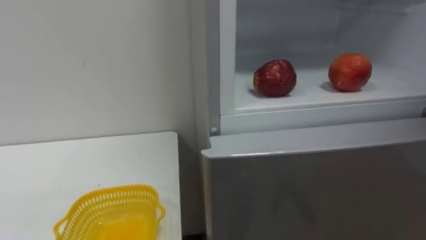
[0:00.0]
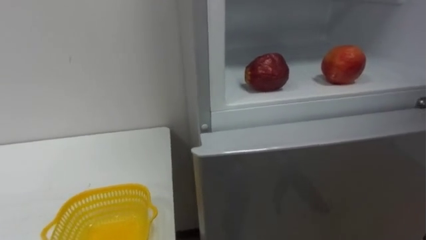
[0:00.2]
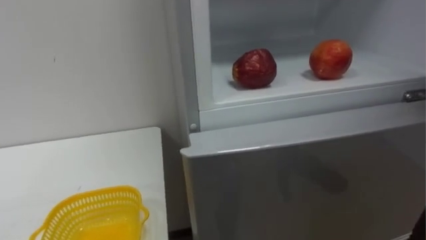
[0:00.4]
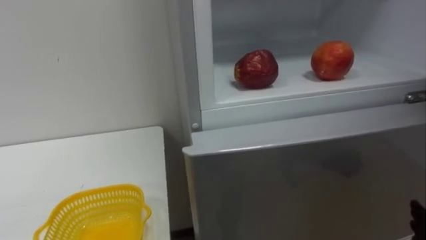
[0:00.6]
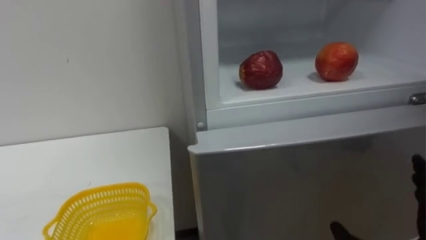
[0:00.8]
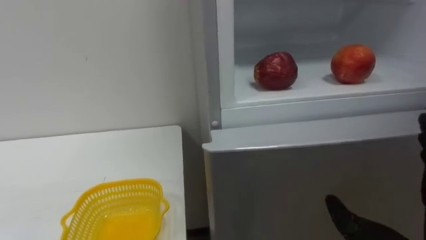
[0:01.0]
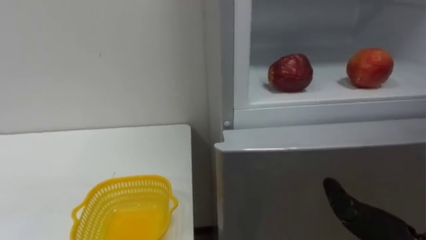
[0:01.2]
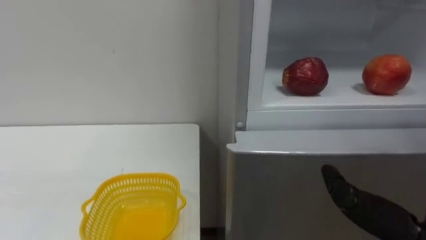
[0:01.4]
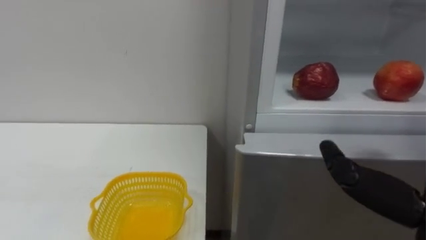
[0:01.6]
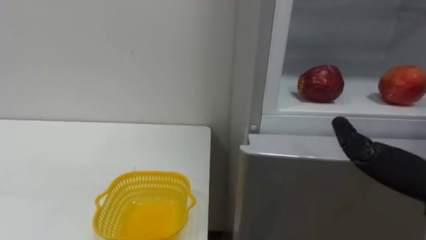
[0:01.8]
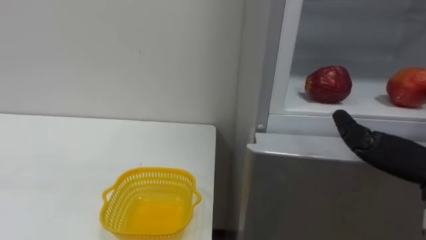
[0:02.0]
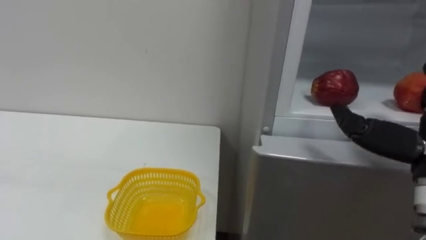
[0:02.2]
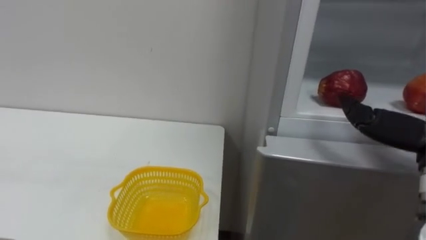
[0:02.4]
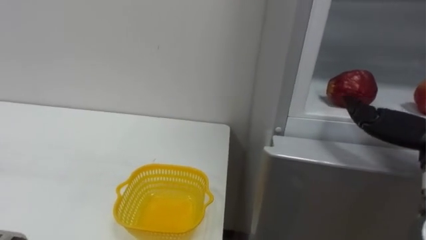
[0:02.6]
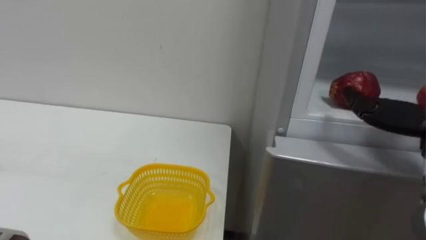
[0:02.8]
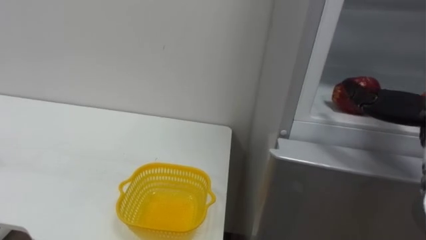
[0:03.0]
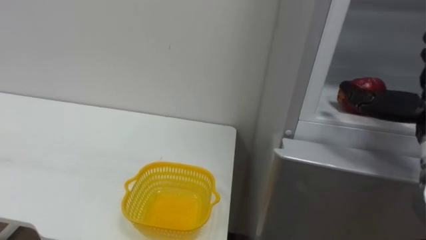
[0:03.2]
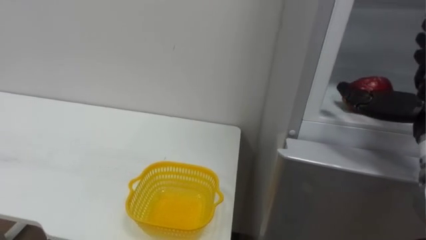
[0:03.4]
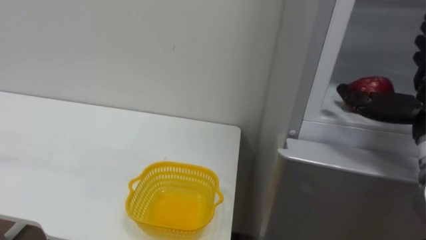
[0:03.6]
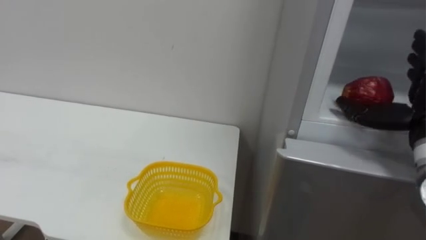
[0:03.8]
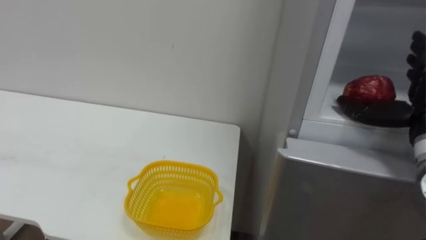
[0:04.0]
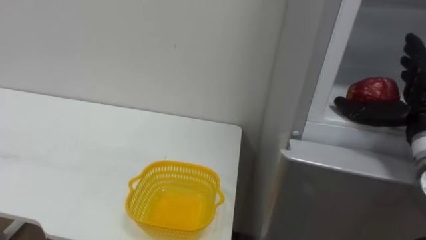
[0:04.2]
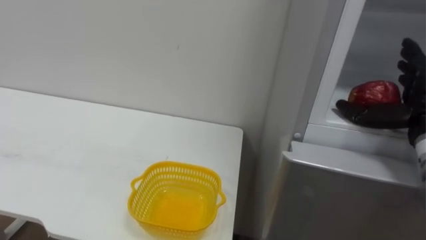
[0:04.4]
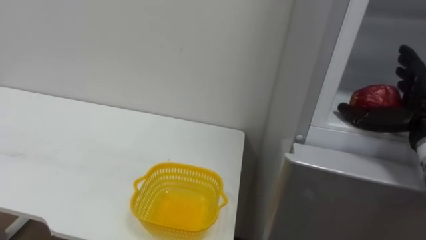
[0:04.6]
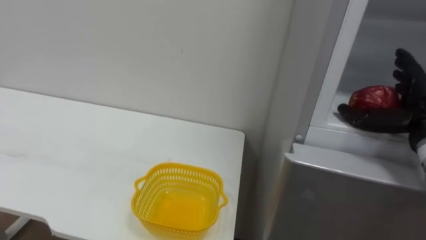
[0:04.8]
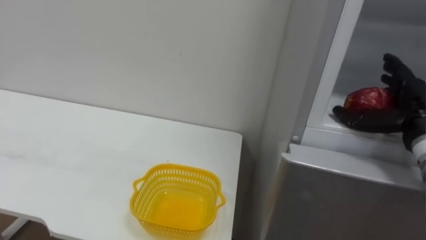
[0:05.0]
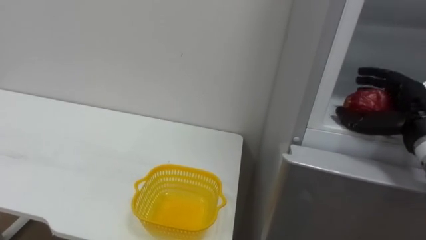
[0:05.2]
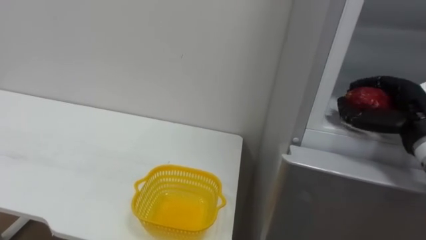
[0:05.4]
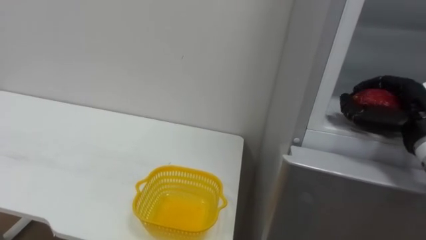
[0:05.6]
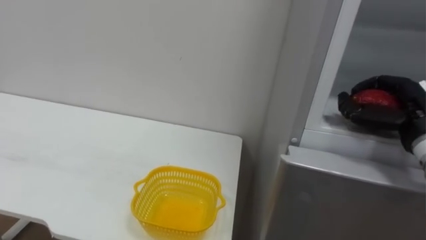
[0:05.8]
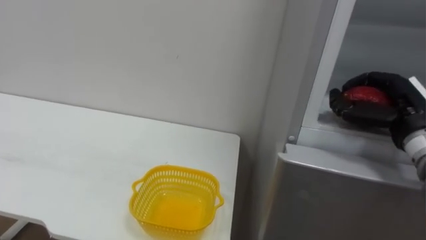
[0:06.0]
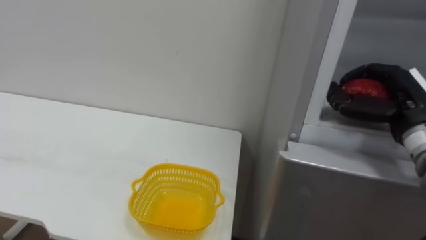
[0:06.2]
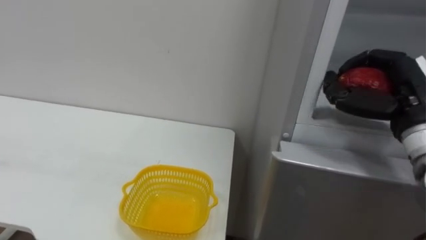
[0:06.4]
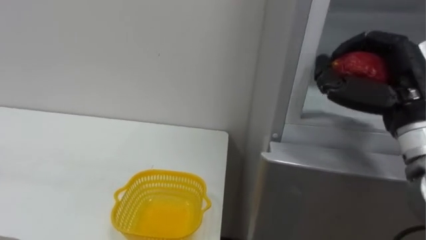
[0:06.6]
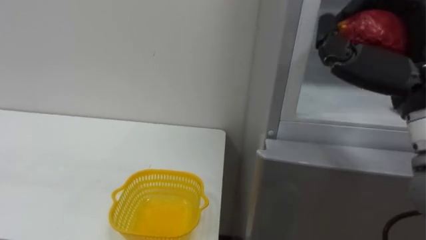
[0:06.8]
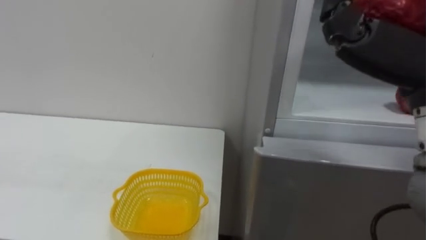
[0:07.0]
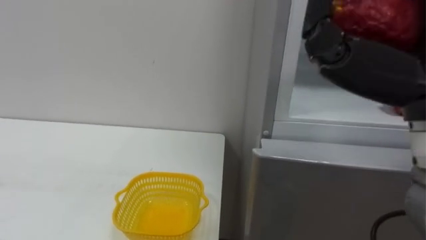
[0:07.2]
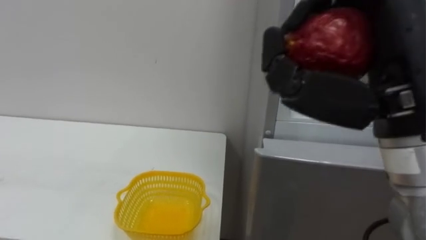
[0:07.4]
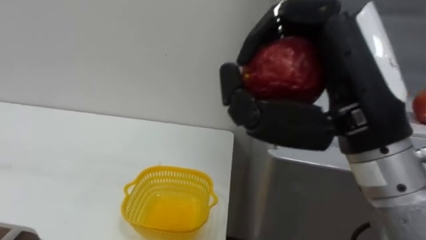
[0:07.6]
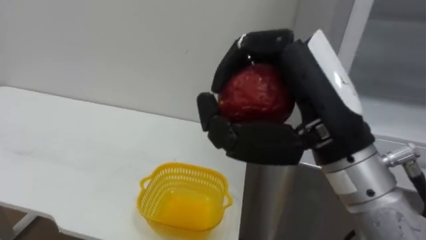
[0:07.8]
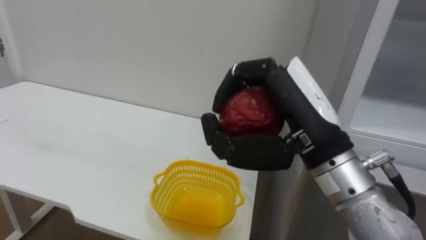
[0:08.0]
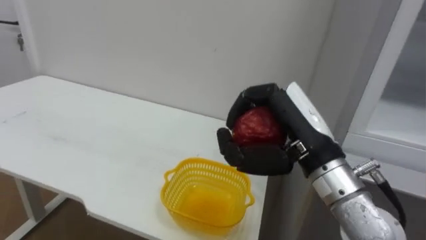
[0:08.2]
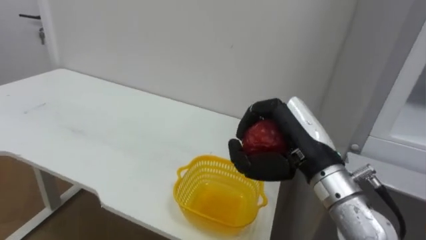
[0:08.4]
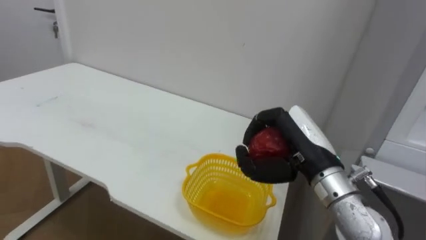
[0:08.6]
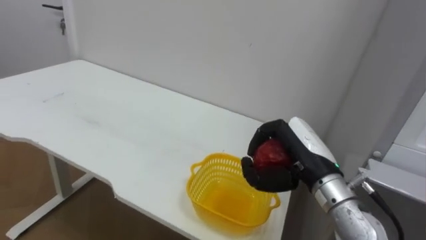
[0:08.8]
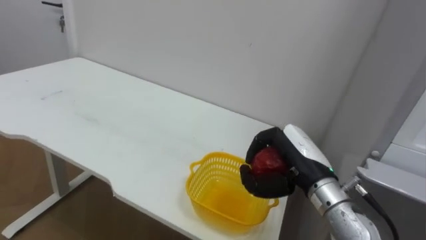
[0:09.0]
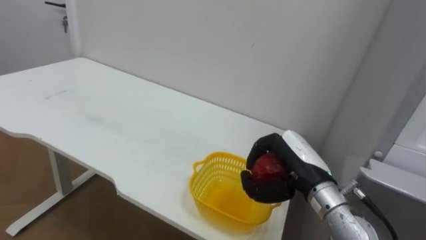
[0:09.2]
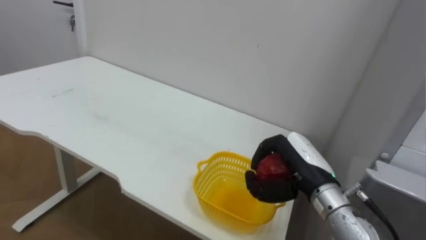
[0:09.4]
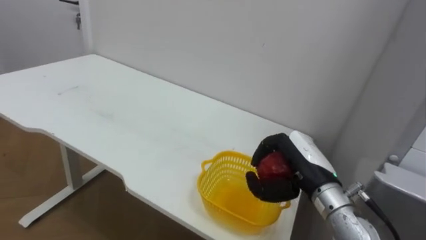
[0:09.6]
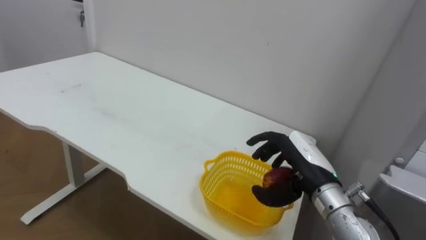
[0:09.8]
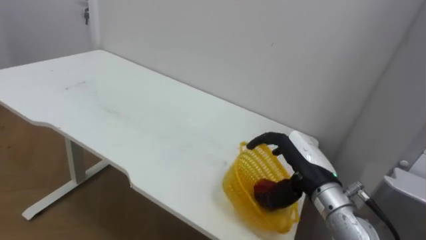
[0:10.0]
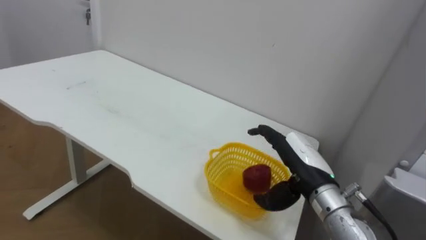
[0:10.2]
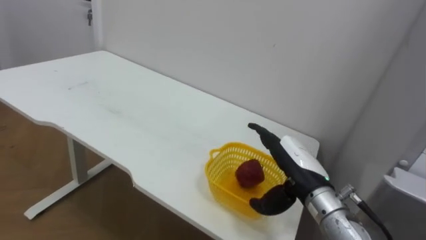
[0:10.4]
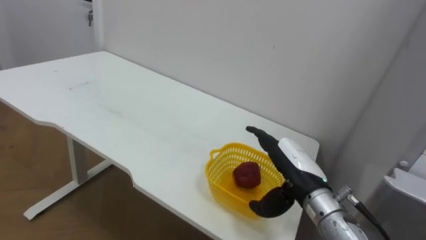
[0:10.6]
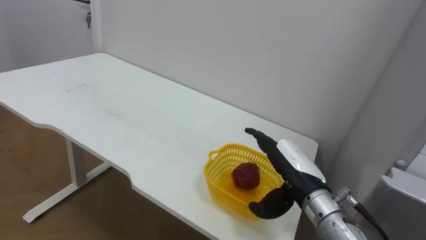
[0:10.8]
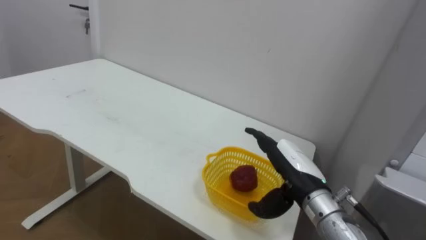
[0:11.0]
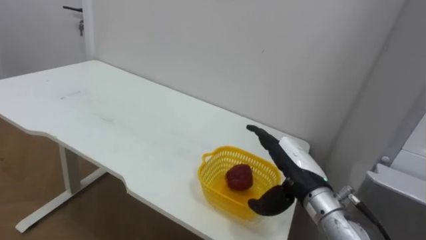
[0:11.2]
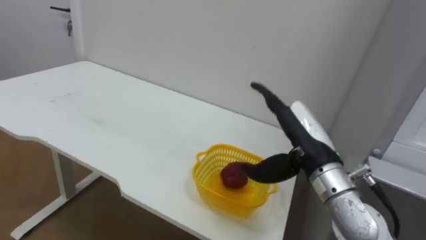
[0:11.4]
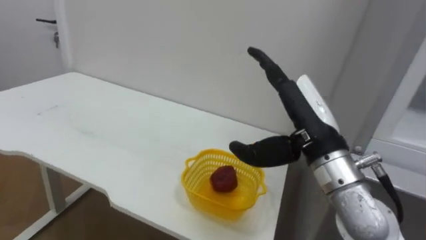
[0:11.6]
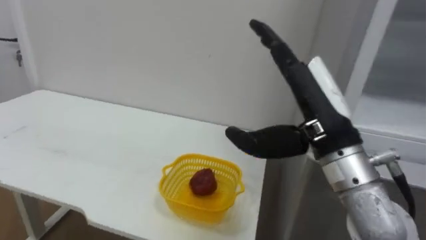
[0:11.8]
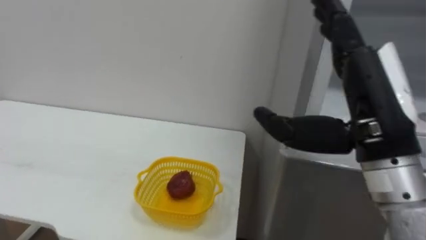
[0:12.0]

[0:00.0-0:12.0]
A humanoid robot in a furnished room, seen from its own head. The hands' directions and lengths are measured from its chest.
Task of the whole recording: Open the refrigerator door, take out the apple and the pomegranate, place them in the fruit basket on the left, and close the refrigerator door.
0:04.4 to 0:06.0: The right hand closes its fingers.
0:06.0 to 0:07.6: The right hand goes some 25 cm to the left, backward and upward.
0:07.6 to 0:09.0: The right hand heads downward and forward, covering roughly 20 cm.
0:09.0 to 0:10.4: The right hand opens up.
0:10.4 to 0:12.0: The right hand moves upward and backward, roughly 20 cm.

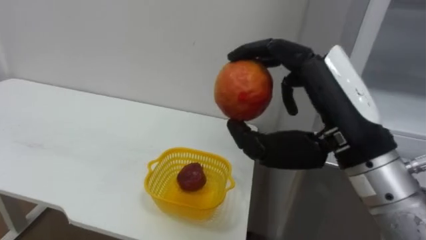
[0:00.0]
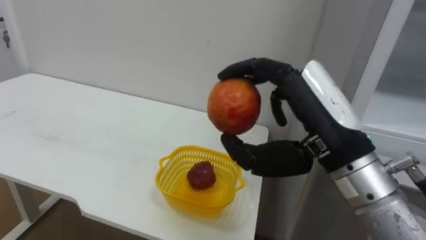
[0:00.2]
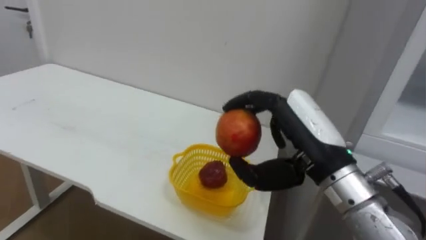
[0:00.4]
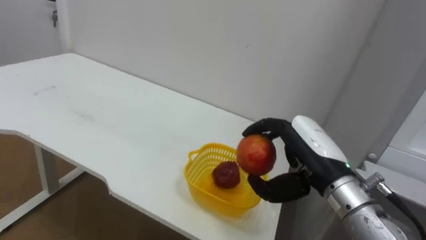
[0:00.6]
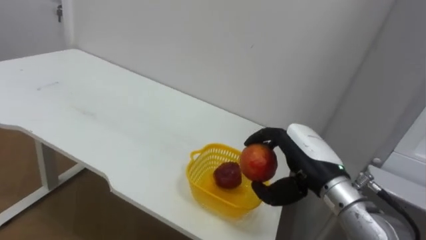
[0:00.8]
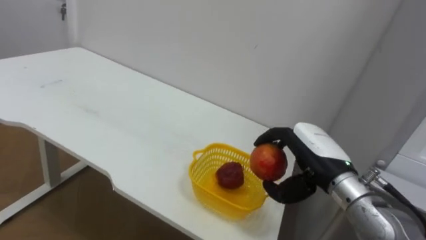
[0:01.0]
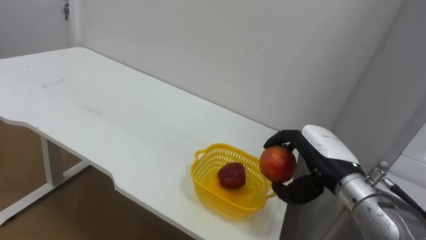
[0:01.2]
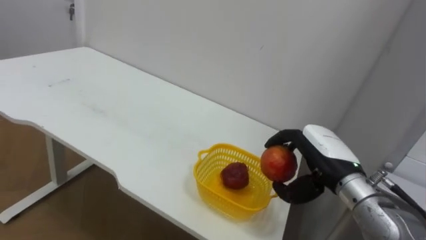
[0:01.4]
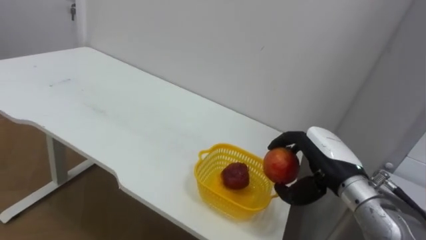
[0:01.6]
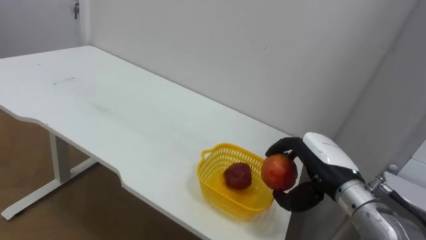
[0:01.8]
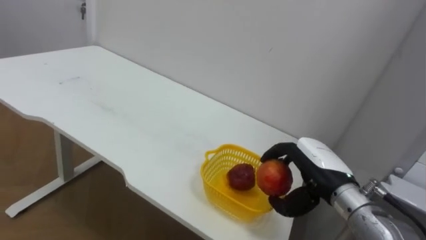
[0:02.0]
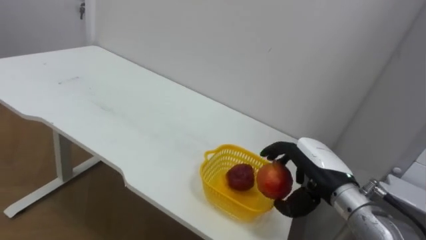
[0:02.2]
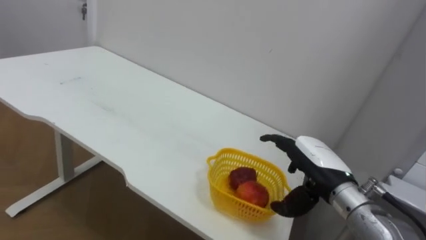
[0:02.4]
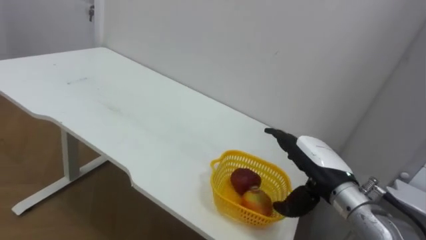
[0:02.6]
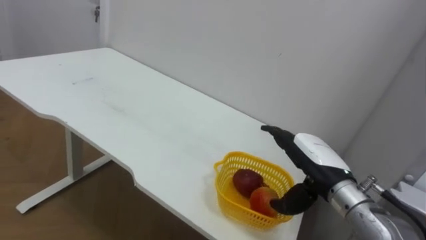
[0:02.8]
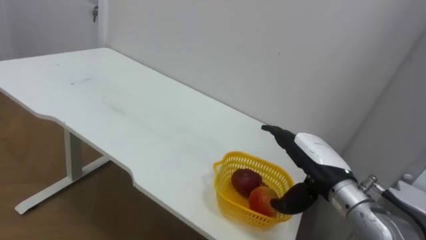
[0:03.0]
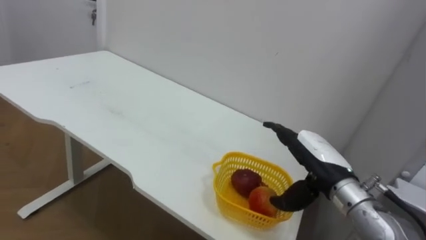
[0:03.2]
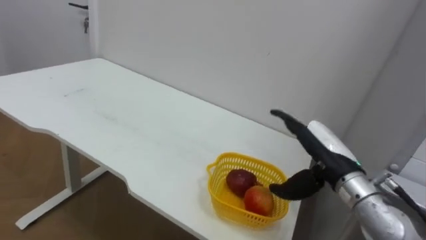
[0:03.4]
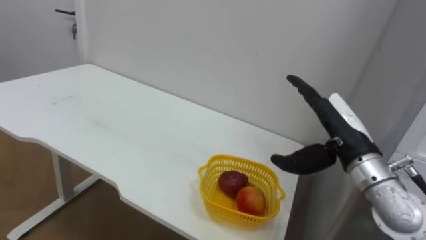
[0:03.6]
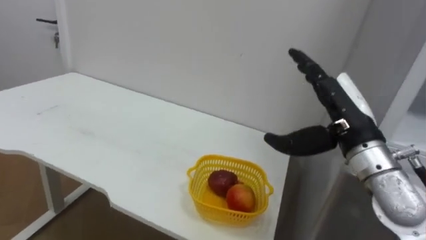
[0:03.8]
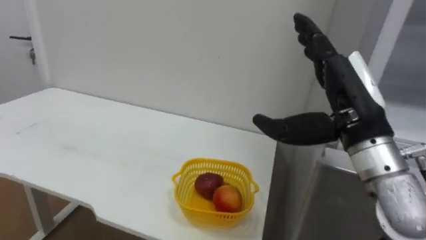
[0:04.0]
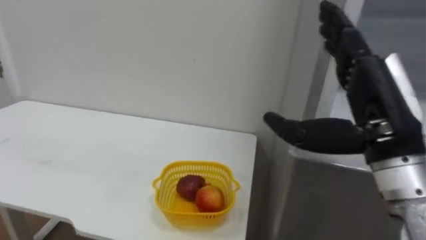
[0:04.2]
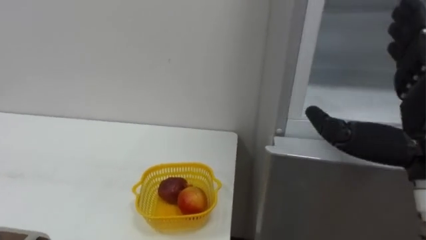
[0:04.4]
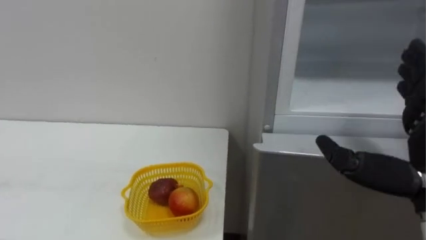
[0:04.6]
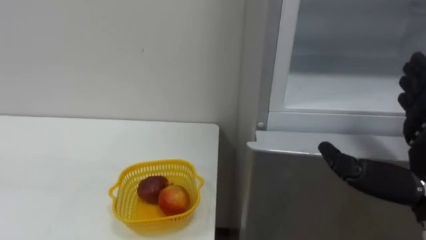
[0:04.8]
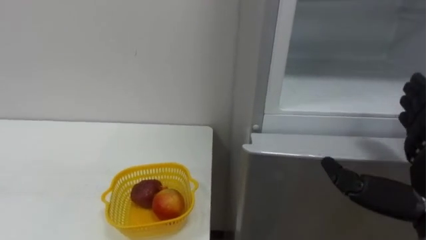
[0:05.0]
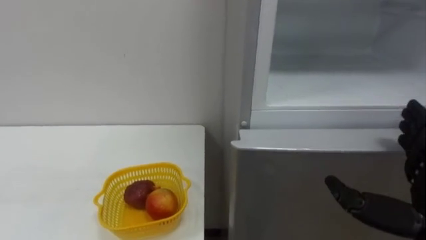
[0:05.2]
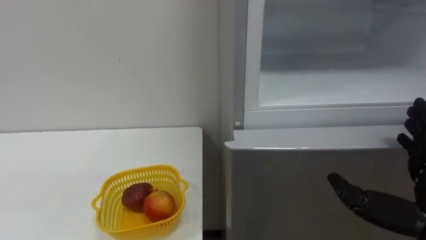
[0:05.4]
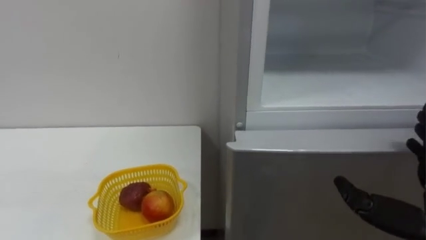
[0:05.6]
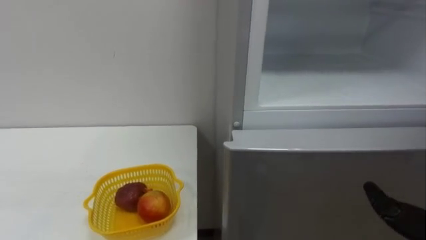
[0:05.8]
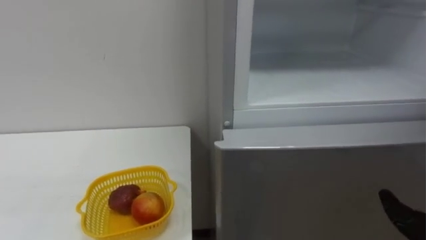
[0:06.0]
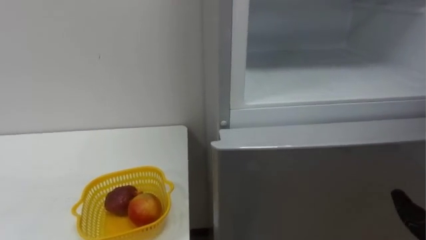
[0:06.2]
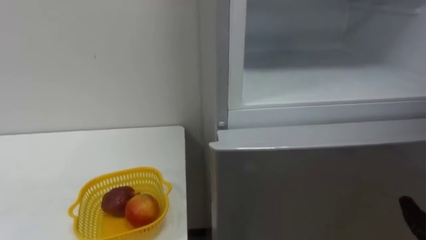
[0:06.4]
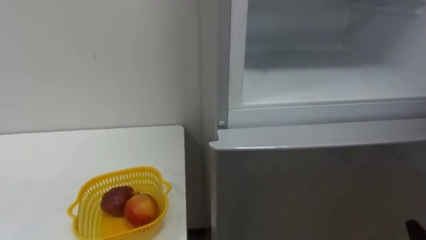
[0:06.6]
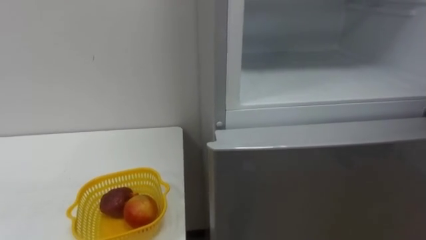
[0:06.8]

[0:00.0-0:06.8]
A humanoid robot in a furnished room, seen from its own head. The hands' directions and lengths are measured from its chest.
Task of the whole recording: Open the refrigerator door, take out the apple and the pomegranate, place them in the fruit basket on the left, and close the refrigerator door.
0:00.0 to 0:01.4: The right hand travels downward and forward by some 20 cm.
0:01.4 to 0:02.8: The right hand opens its fingers.
0:02.8 to 0:04.0: The right hand moves upward, some 15 cm.
